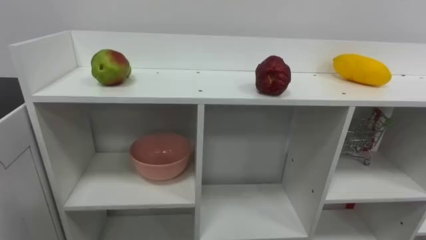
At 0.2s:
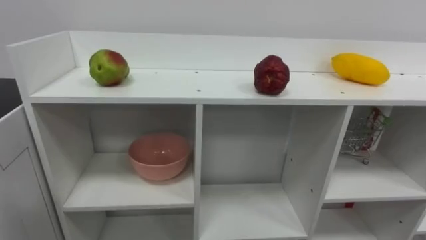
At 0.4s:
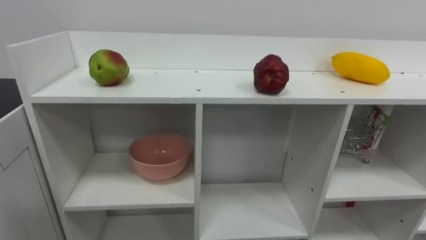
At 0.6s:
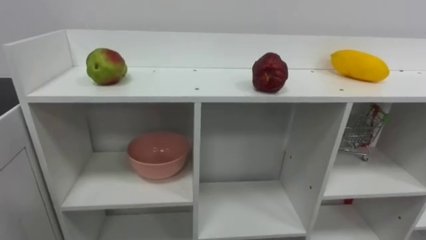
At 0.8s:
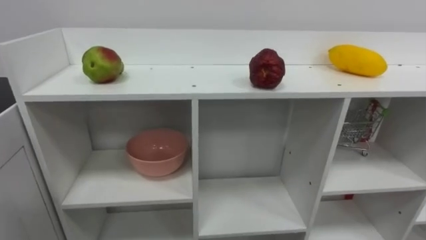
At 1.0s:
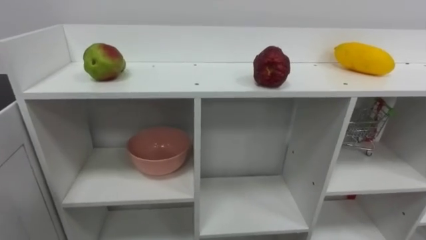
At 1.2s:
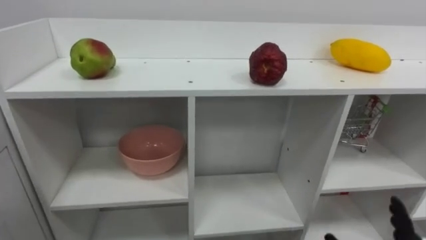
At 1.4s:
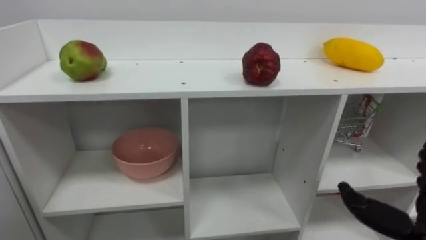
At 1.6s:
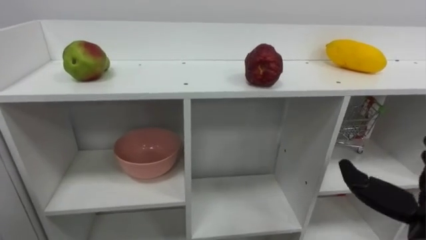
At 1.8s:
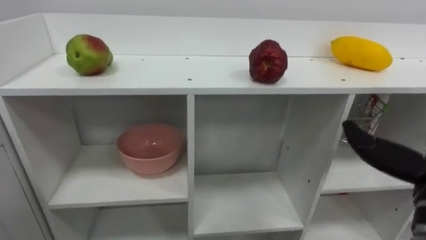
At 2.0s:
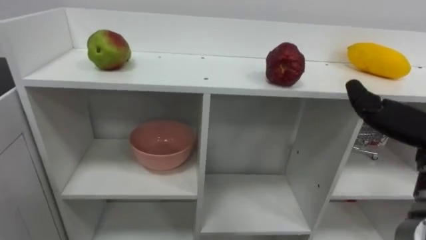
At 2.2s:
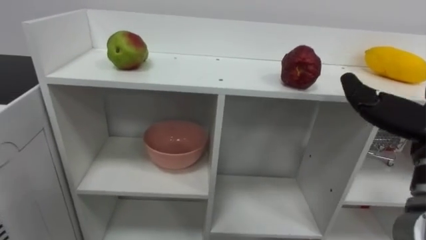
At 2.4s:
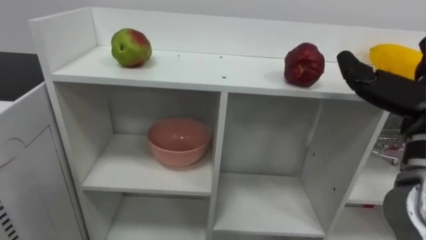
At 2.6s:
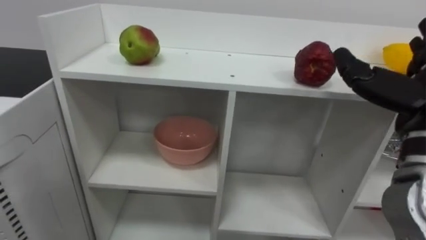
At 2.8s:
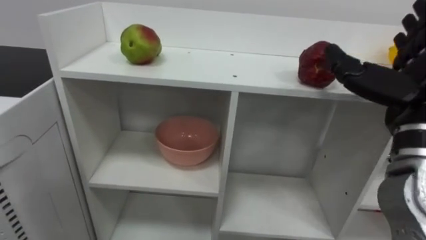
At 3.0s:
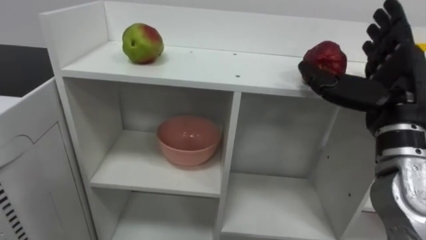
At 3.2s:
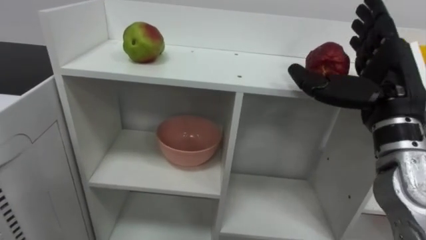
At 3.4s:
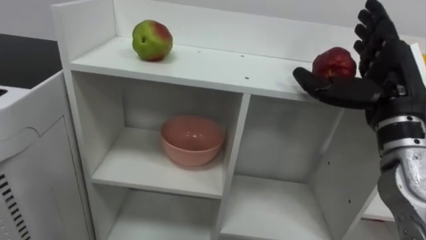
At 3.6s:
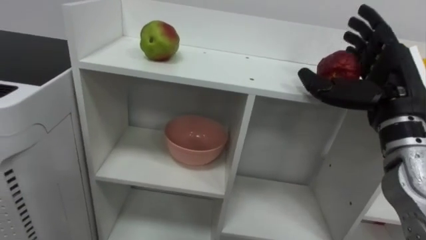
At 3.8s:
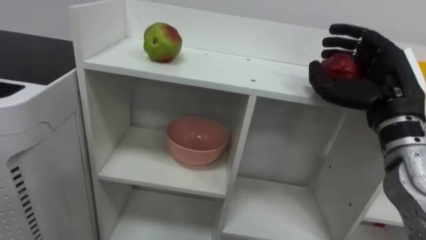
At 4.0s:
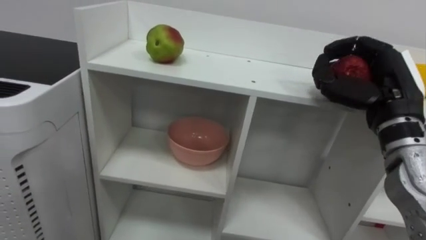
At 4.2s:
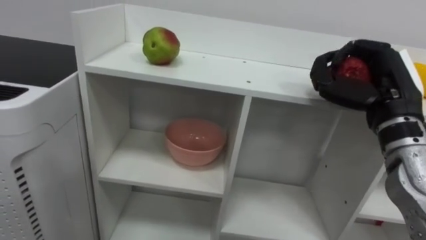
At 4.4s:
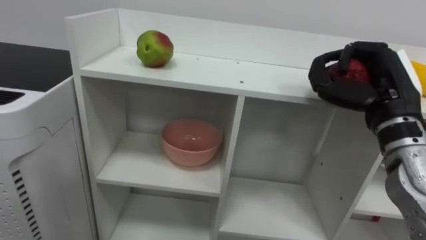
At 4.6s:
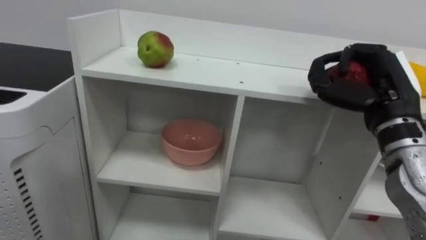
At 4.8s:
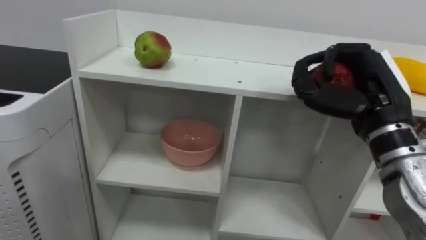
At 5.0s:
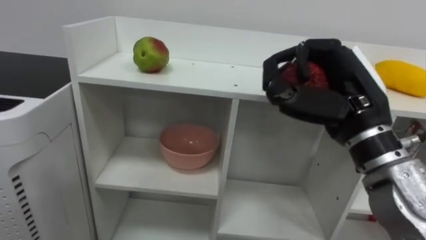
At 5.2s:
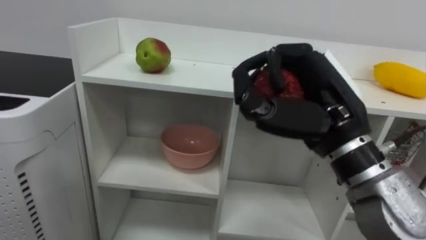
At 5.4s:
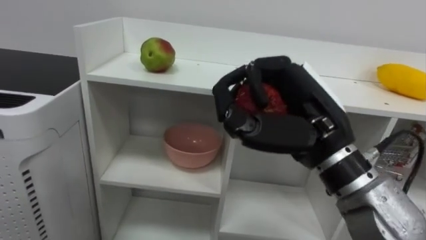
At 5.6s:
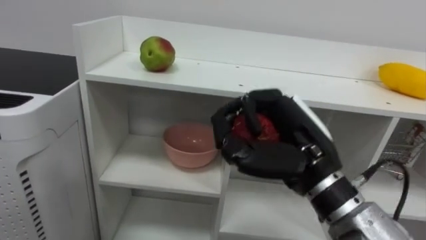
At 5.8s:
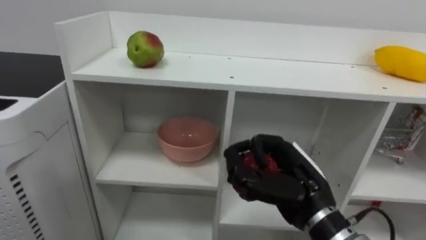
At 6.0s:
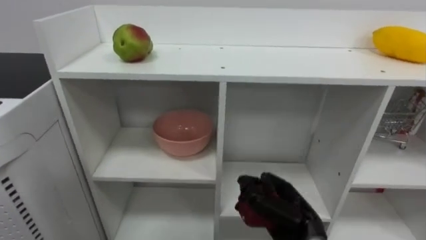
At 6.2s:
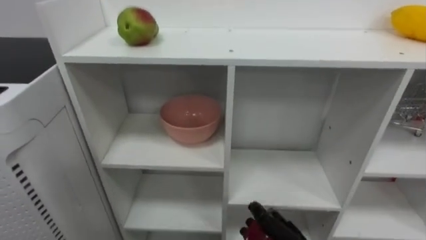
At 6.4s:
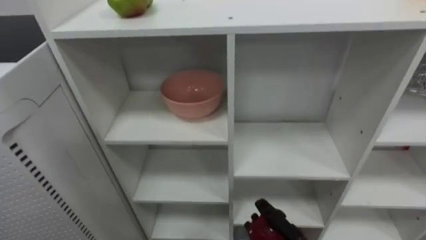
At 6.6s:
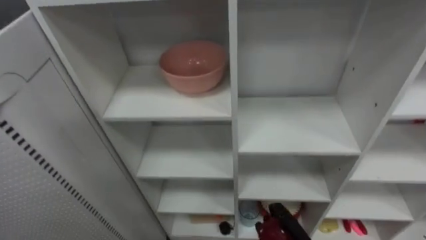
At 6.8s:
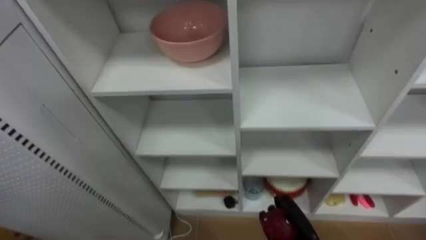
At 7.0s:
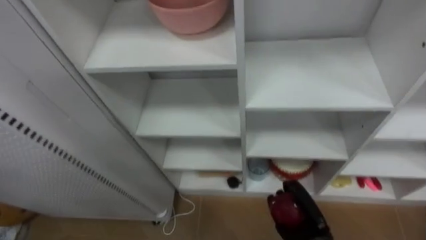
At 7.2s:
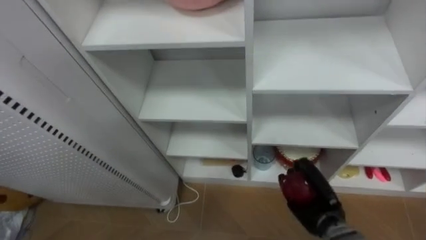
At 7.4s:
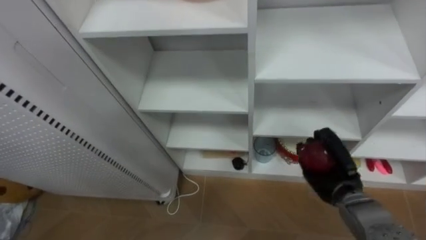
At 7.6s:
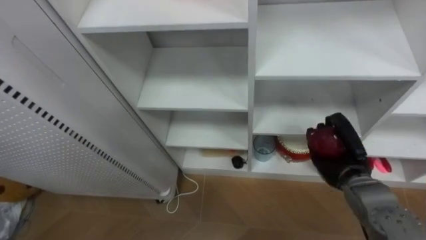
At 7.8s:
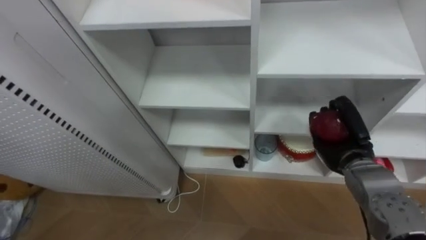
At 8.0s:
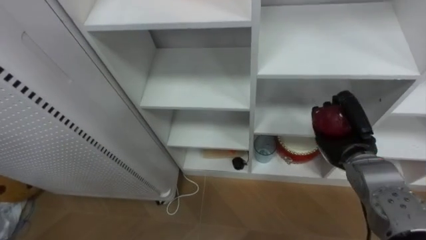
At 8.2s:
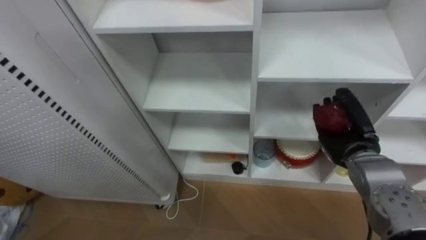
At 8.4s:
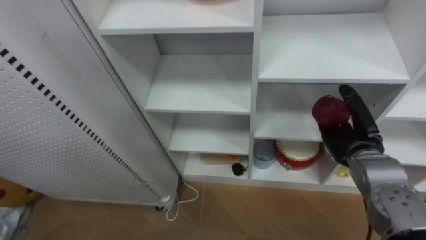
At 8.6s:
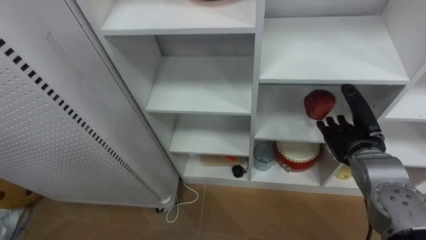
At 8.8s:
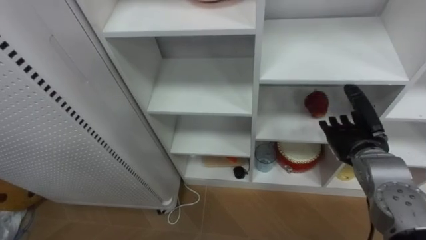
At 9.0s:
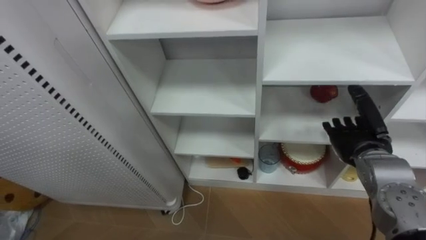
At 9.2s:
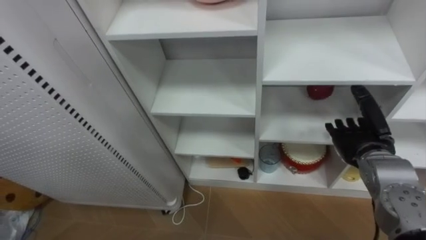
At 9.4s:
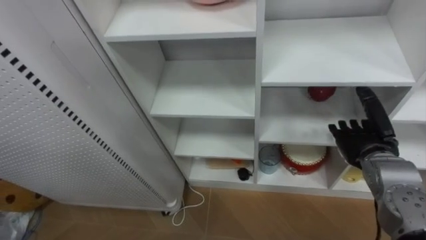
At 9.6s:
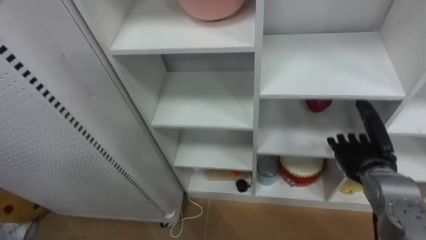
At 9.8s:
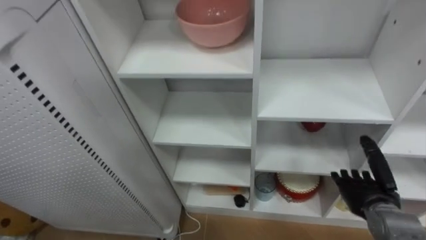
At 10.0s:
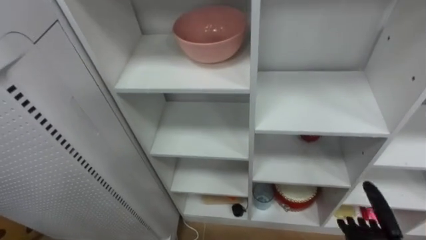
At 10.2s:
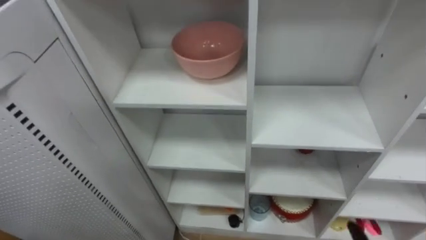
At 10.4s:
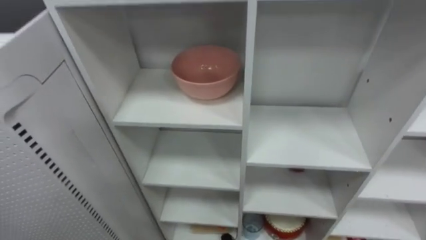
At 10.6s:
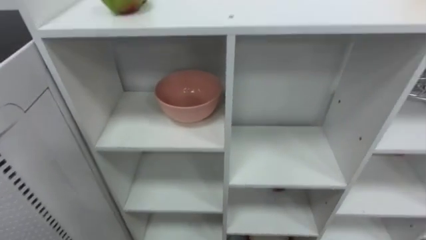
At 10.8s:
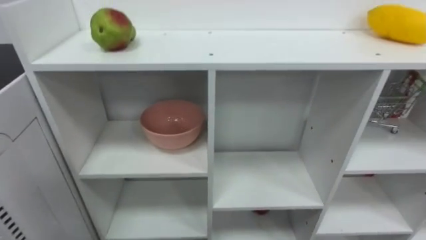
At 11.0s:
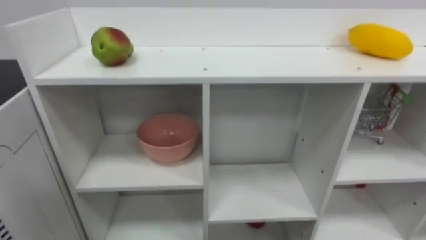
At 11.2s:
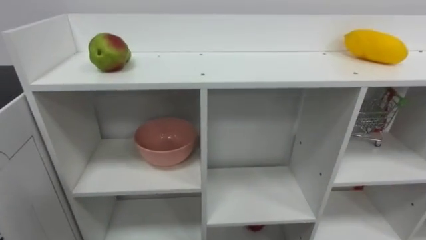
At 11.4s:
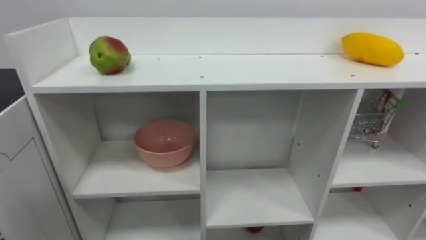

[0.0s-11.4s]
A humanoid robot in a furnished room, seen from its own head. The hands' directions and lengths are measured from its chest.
Task of the whole recording: Put the apple in the cell in the second column from the left and the second row from the top.
2.8s to 4.2s: The right hand shifts by approximately 5 cm, and closes its fingers.
4.2s to 5.6s: The right hand moves to the left and backward, roughly 15 cm.
7.2s to 8.6s: The right hand is displaced upward and to the right by some 15 cm, and opens up.
8.6s to 10.0s: The right hand goes roughly 20 cm downward and backward.

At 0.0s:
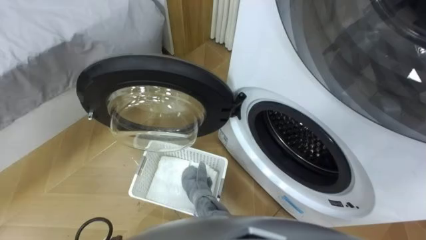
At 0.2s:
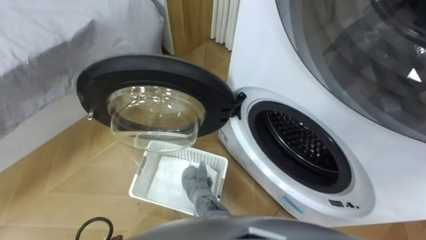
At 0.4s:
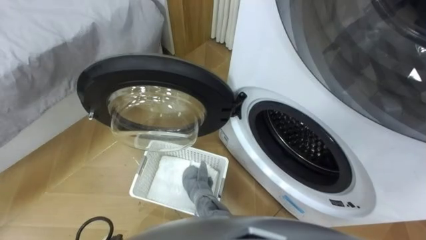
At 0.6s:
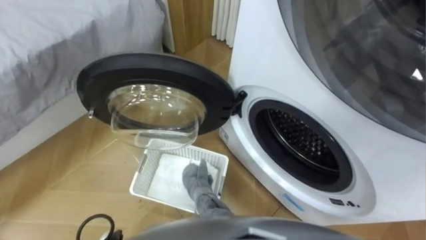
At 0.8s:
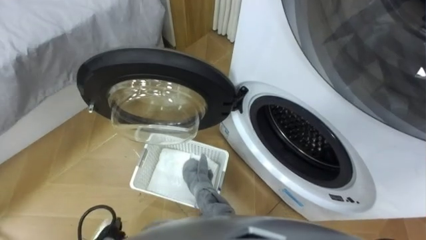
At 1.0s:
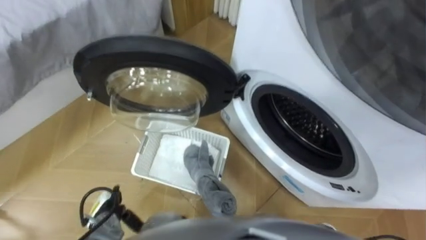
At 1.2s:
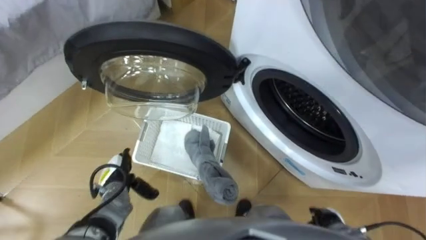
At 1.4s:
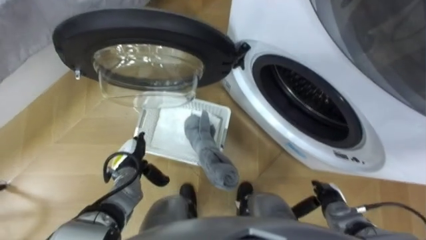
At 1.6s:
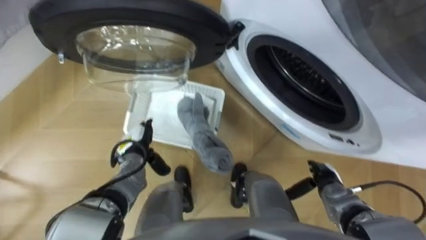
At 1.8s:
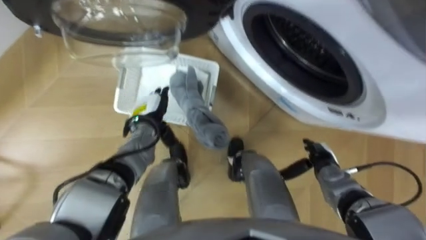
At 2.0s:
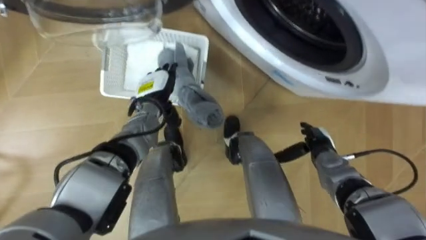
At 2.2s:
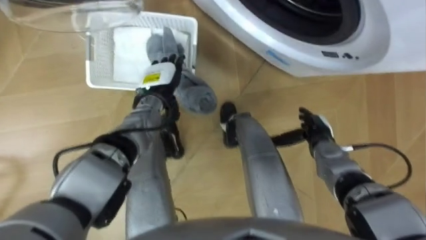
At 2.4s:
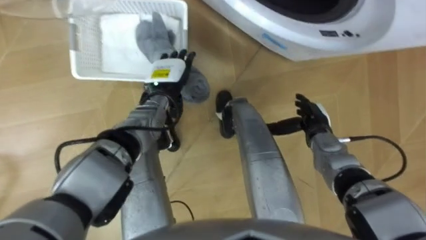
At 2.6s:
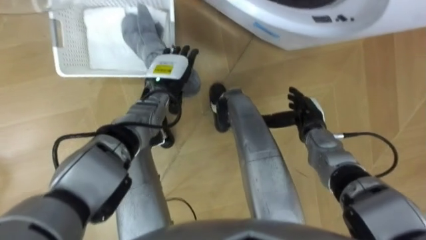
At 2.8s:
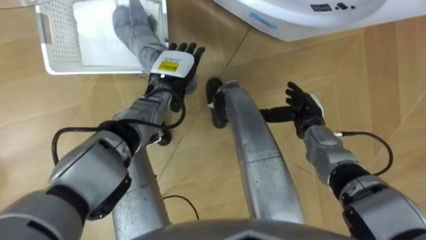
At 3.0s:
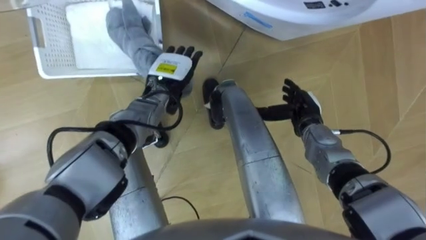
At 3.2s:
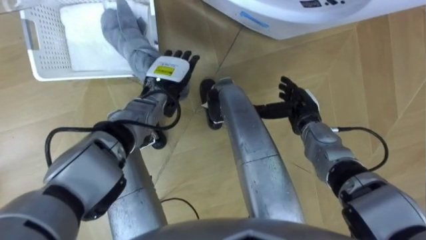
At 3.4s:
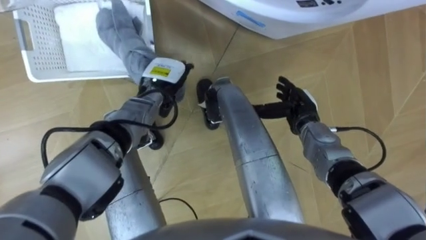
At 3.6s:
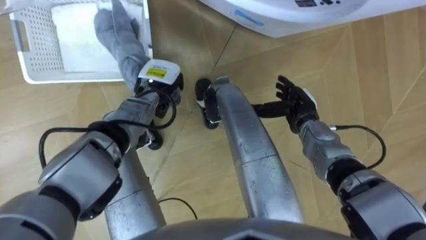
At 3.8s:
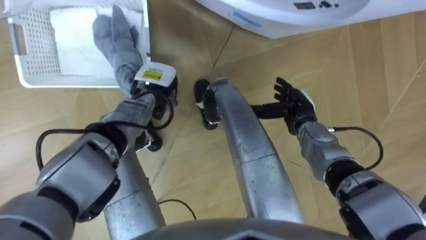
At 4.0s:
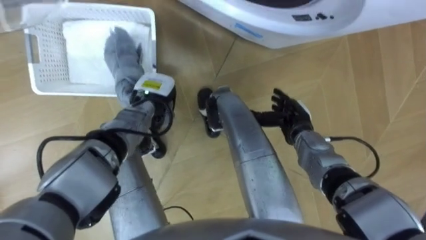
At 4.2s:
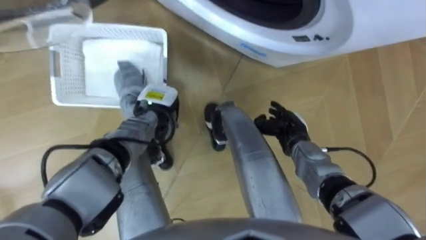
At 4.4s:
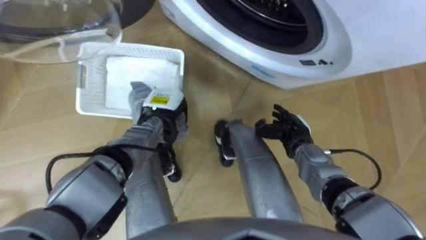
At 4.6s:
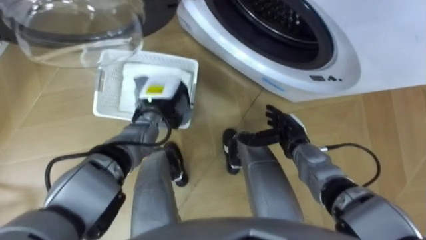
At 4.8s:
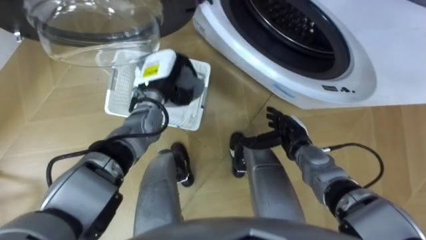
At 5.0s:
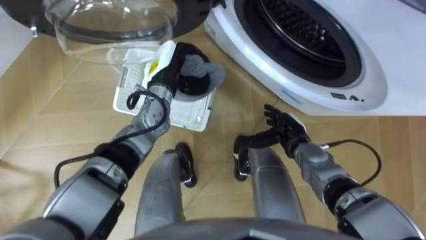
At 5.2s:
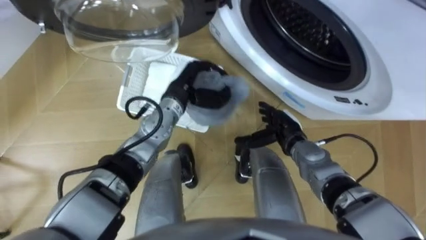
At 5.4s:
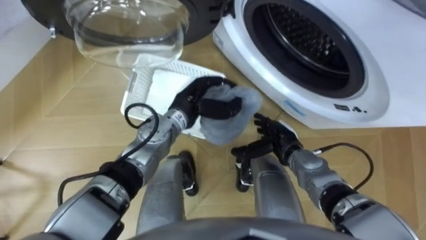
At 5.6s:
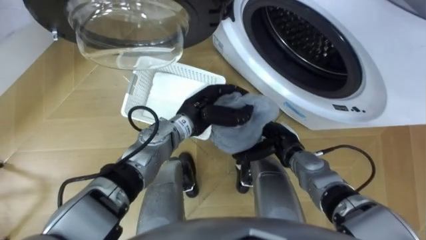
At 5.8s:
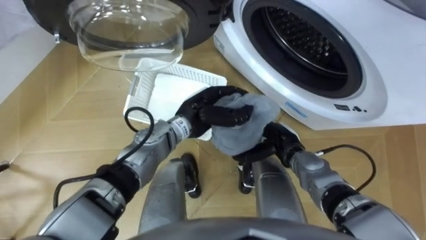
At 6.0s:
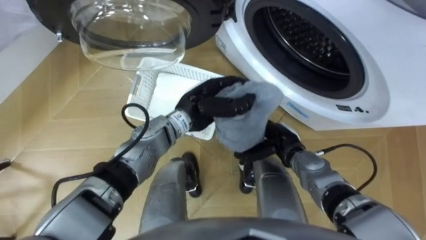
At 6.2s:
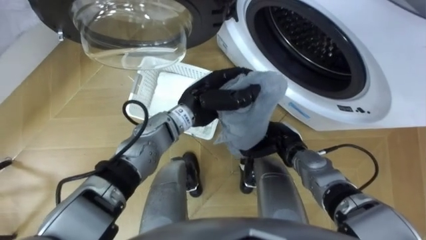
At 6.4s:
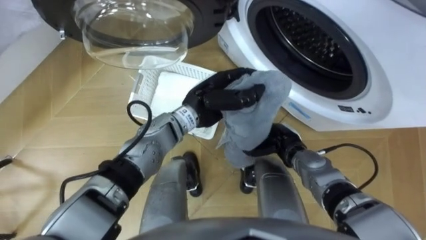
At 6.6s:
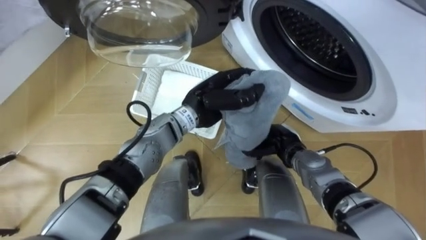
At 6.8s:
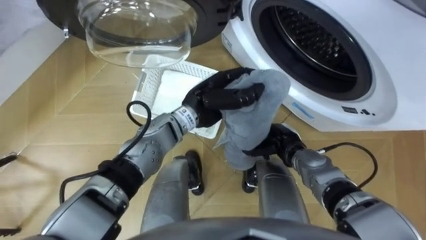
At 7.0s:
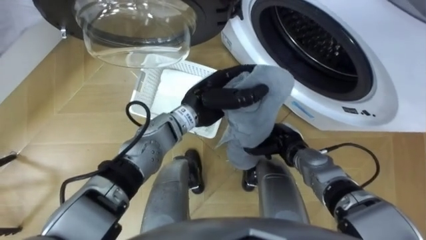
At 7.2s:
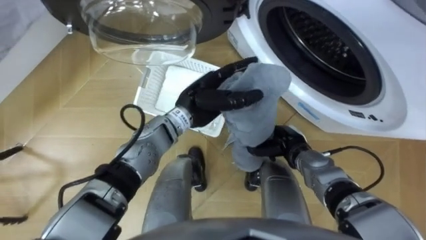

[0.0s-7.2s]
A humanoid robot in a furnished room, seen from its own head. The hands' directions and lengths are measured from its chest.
Task of the whole recording: Take the towel from the basket and put it into the washing machine.
1.4s to 2.8s: The right hand shifts about 20 cm forward and upward. The left hand shifts some 25 cm forward, upward and to the right.
2.8s to 4.4s: The left hand travels downward and backward by roughly 10 cm, and closes its fingers, while the right hand moves roughly 5 cm.
4.4s to 5.8s: The left hand moves to the right and upward, approximately 10 cm.
5.8s to 7.2s: The right hand closes; the left hand opens.
